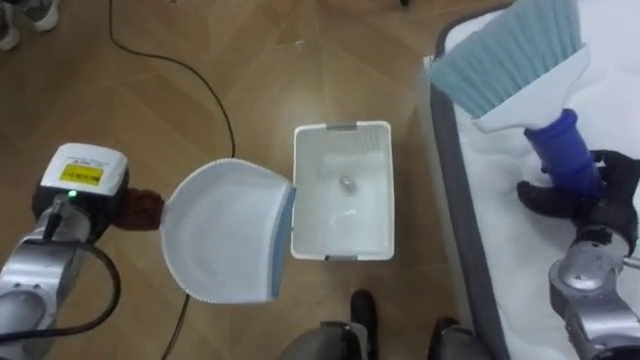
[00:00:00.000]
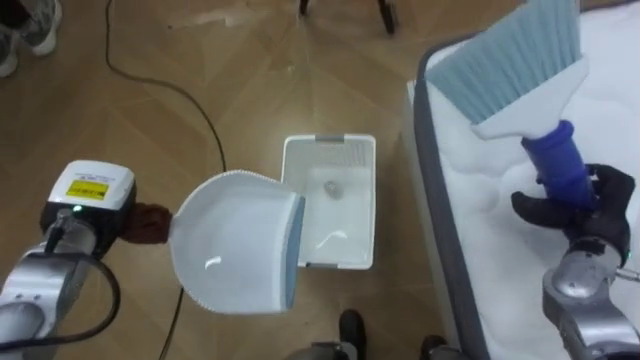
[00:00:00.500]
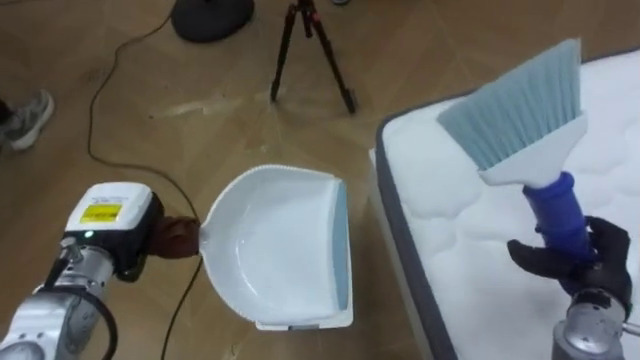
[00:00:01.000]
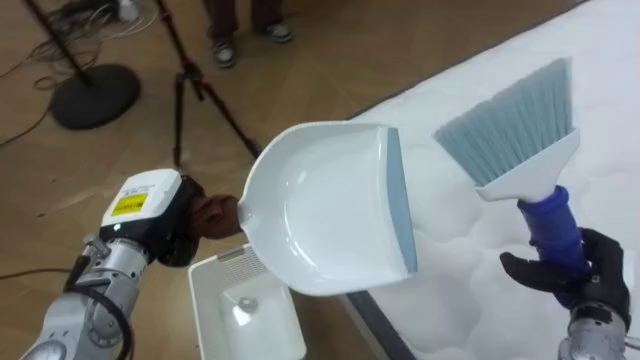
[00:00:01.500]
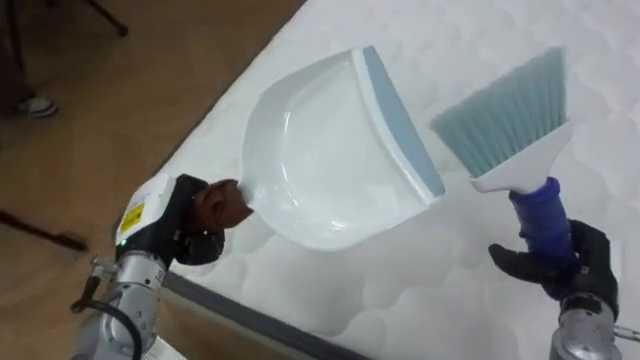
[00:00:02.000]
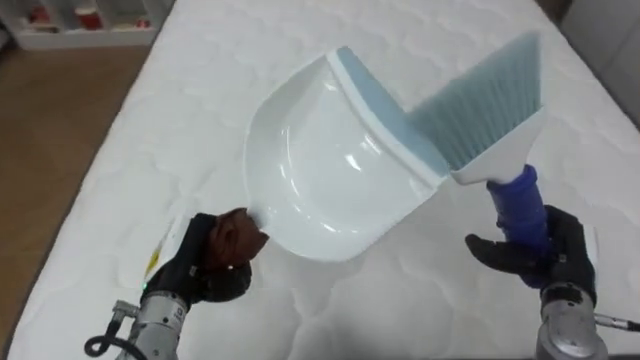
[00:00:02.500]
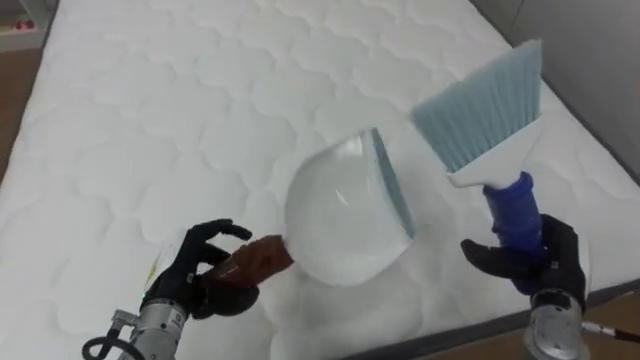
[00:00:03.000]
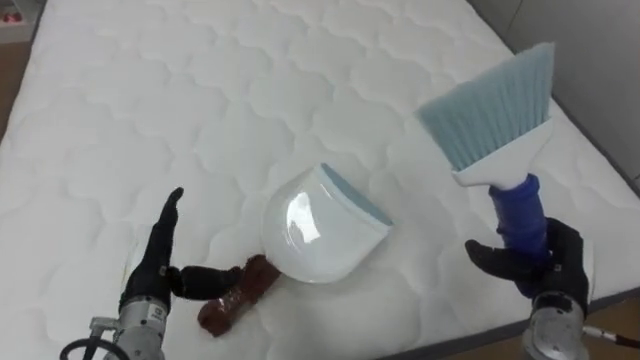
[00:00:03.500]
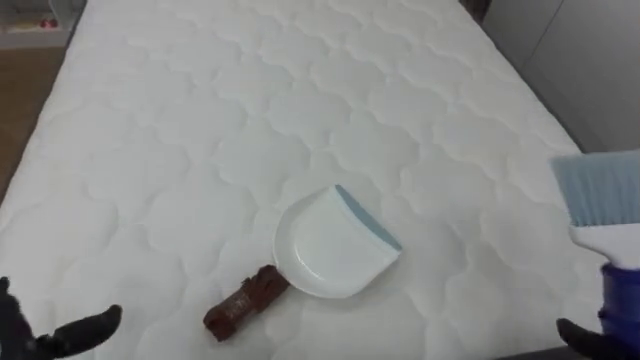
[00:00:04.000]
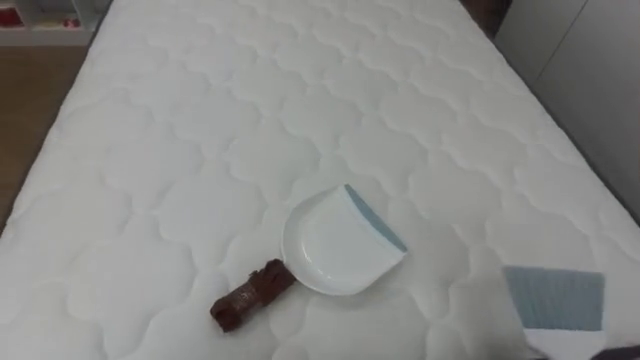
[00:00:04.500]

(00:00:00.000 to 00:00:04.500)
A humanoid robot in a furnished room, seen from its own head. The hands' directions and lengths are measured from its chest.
Task of the whole recording: Pick up the brush on your right and the dustpan on your left. Use the brush to sweep the crumpled paper on the bed into the dustpan, then turn left and empty it into the basket.
00:00:00.000 - 00:00:02.000: The robot faces some 60 degrees further to its right. The right hand heads backward and downward, covering roughly 10 cm, while the left hand is displaced to the right by some 10 cm.
00:00:02.000 - 00:00:04.500: The robot turns to its right by some 35 degrees.

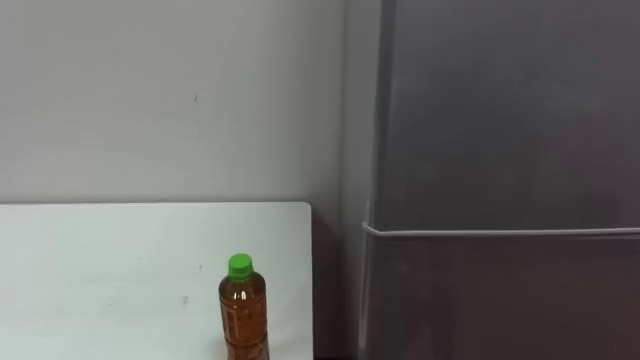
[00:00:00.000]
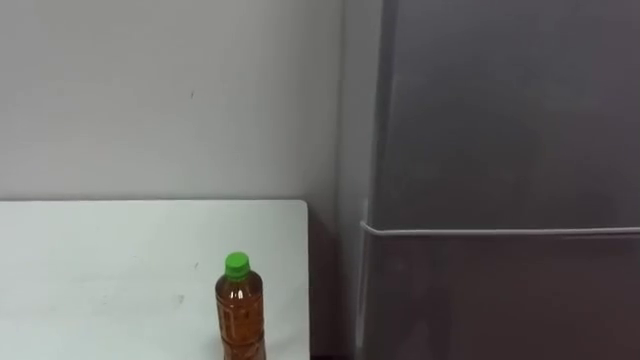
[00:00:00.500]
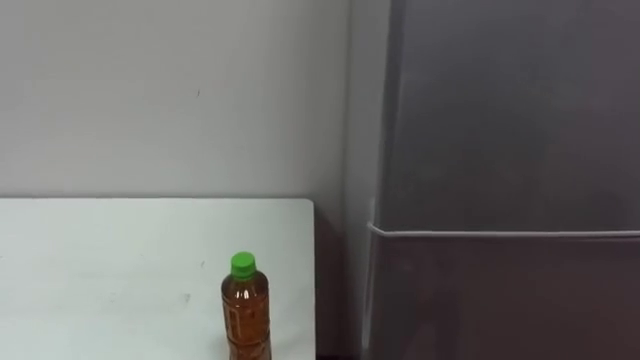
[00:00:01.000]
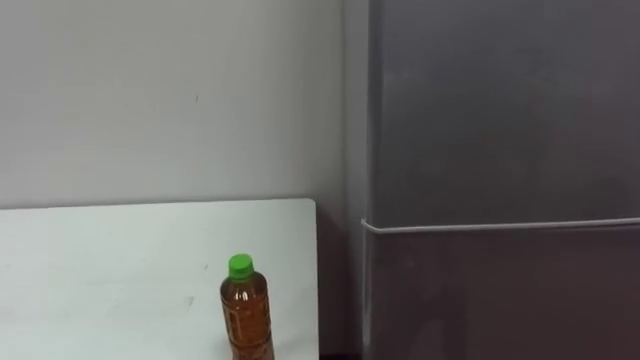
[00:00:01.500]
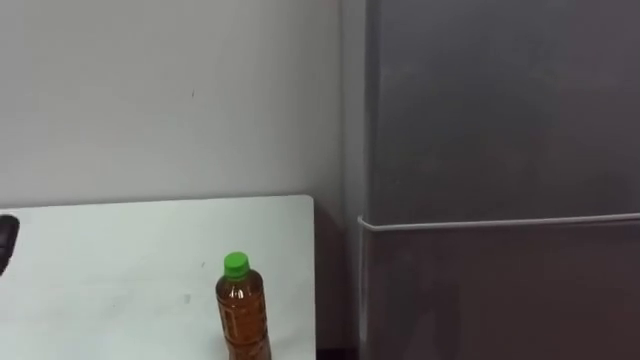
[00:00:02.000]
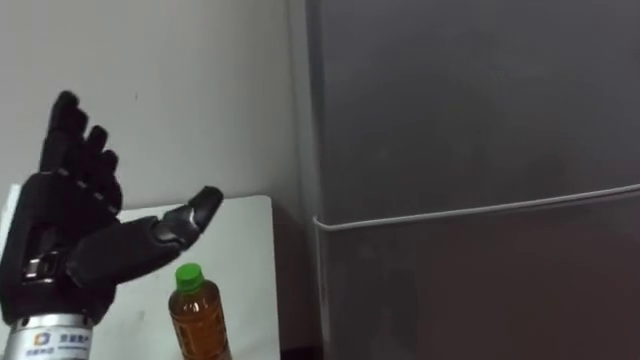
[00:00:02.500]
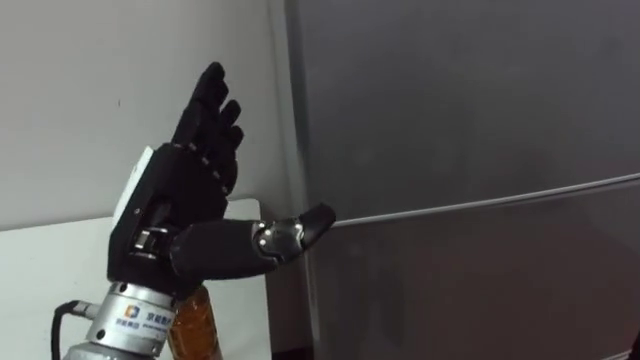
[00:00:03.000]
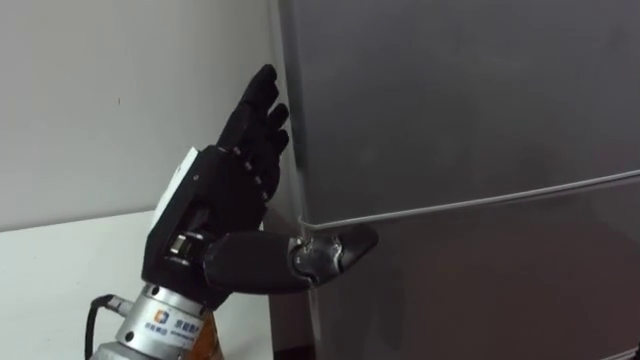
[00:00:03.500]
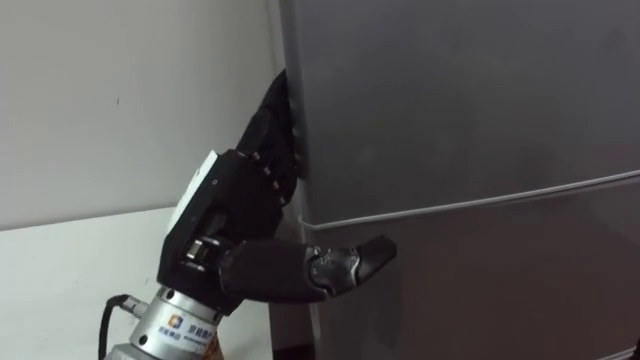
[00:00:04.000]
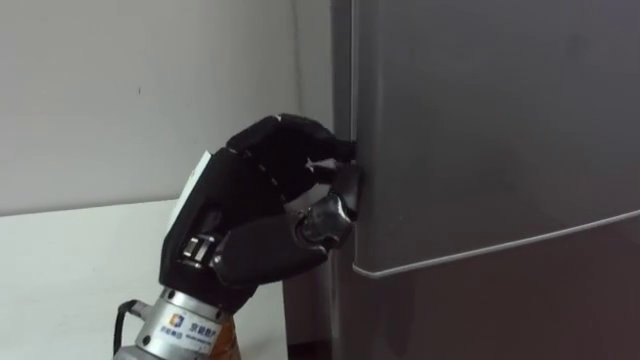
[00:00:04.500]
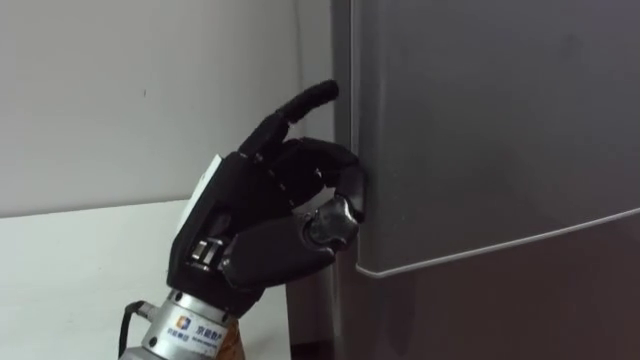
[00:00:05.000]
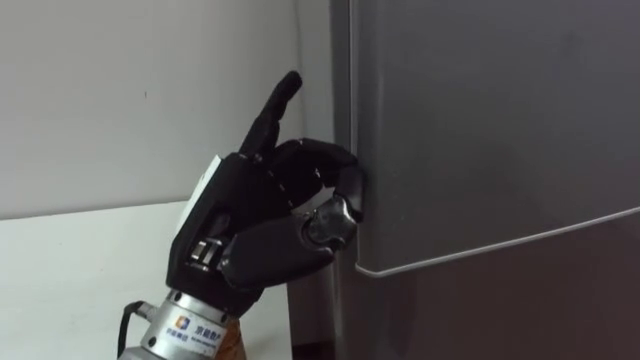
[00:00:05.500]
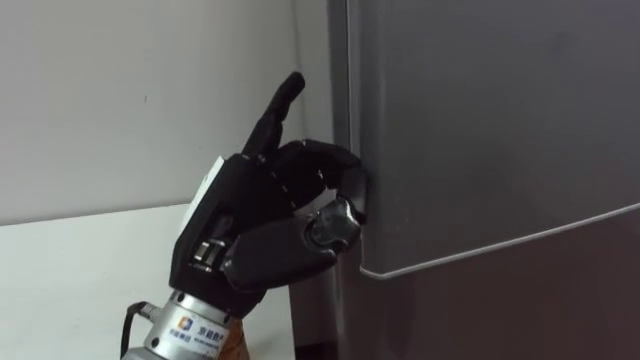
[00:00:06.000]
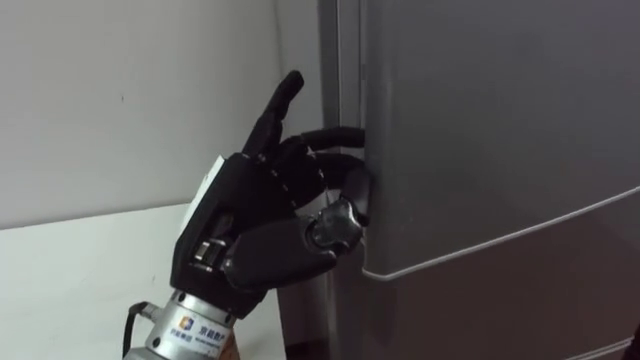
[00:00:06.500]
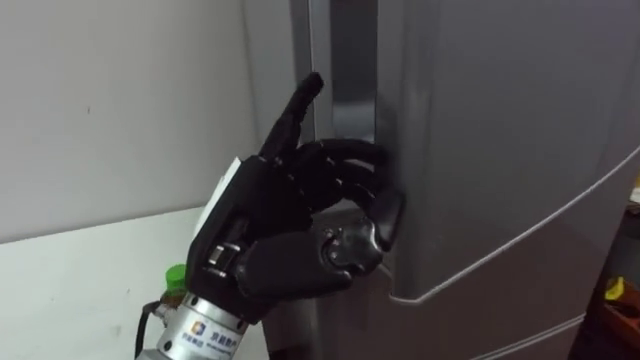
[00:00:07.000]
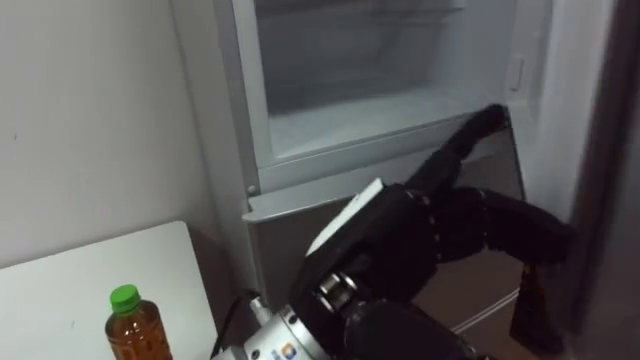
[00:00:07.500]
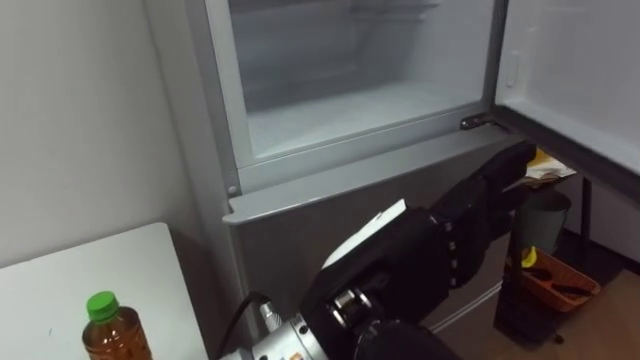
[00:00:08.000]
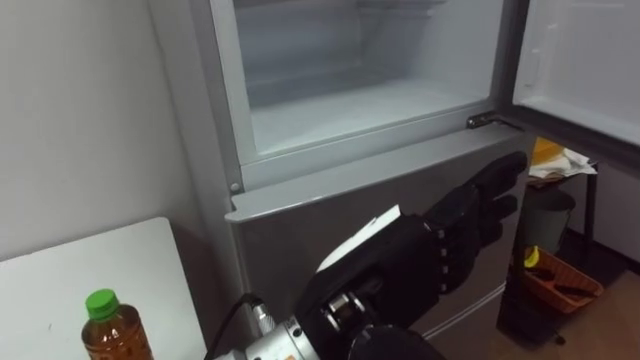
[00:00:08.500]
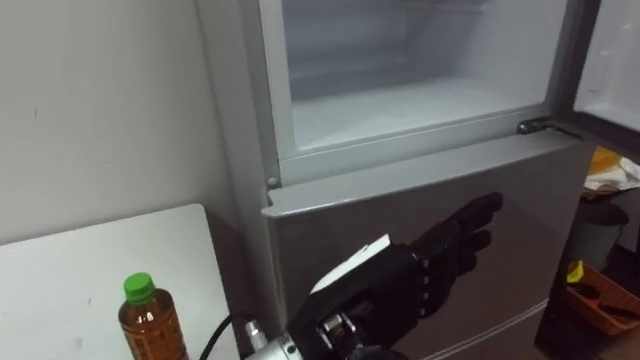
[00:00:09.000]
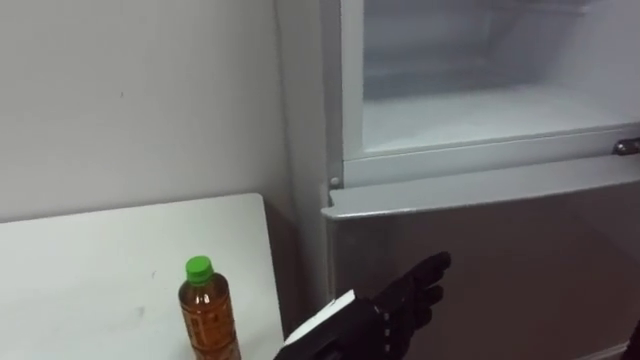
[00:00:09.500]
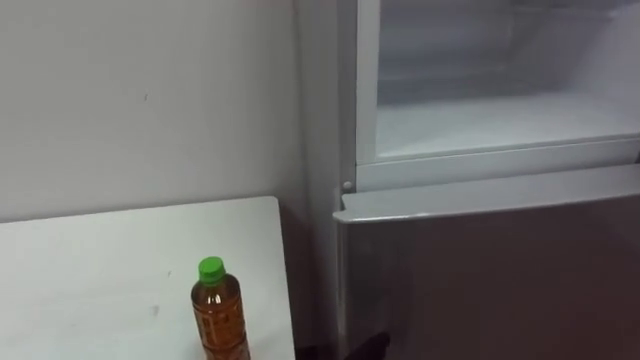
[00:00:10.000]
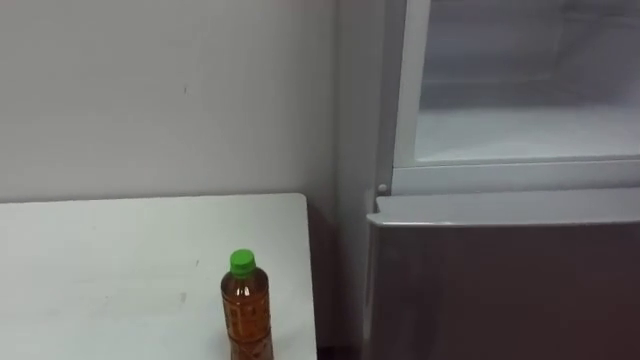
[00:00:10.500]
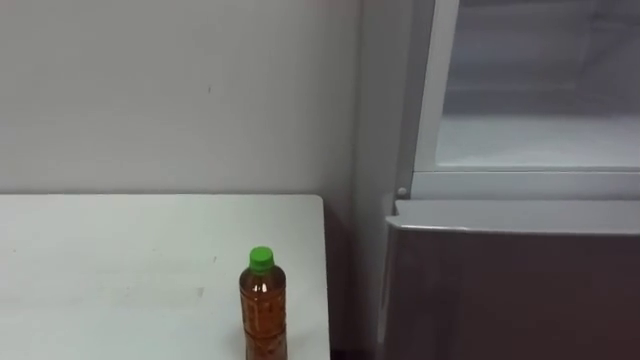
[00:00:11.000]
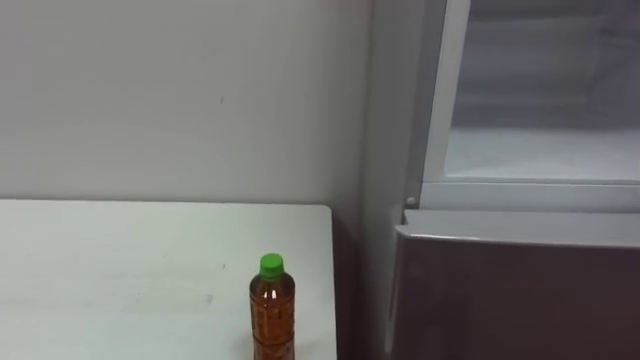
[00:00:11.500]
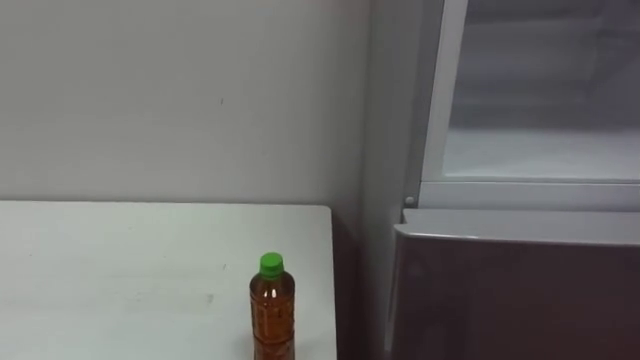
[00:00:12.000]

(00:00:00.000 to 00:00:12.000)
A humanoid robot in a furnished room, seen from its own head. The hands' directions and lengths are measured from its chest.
Task of the whole recording: Open the upper refrigerator door, put the drink from the table into the refrigerator, and then close the refrigerator door.
00:00:04.000 - 00:00:06.000: The left hand closes, then opens again.
00:00:06.000 - 00:00:08.000: The left hand moves to the right, about 10 cm.

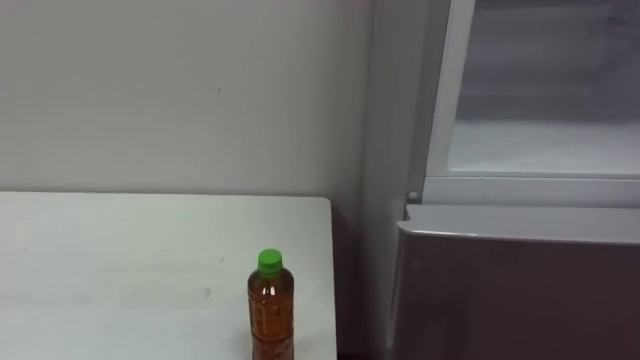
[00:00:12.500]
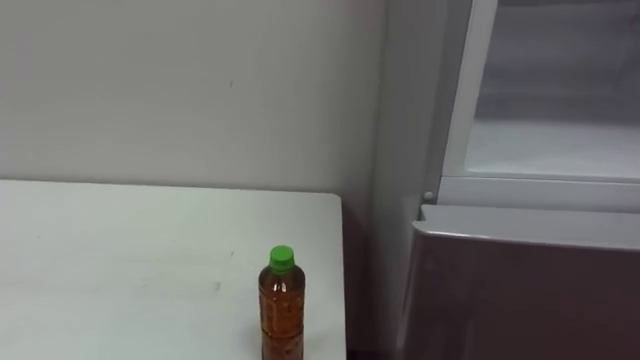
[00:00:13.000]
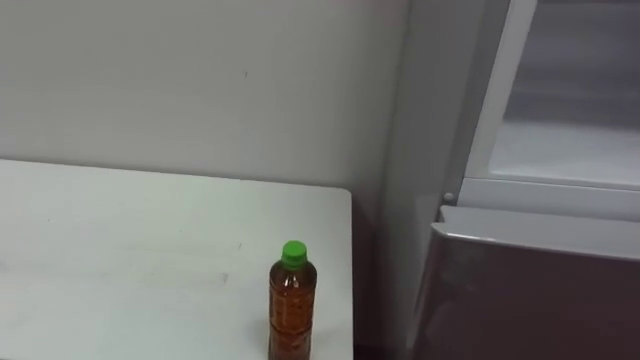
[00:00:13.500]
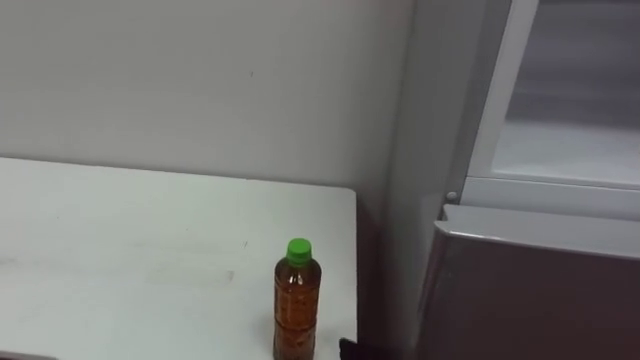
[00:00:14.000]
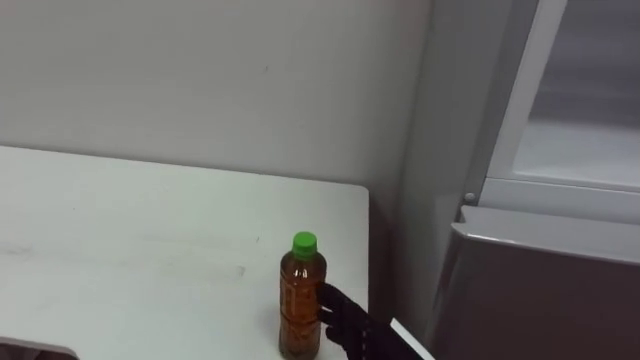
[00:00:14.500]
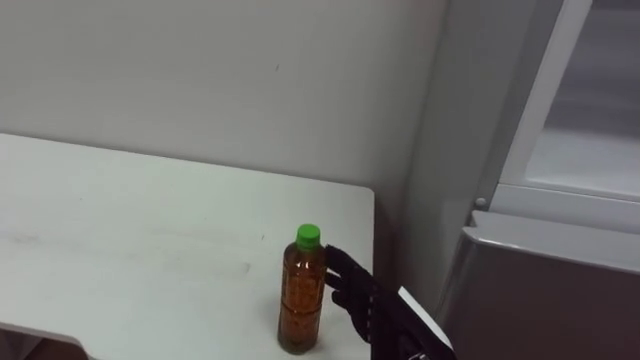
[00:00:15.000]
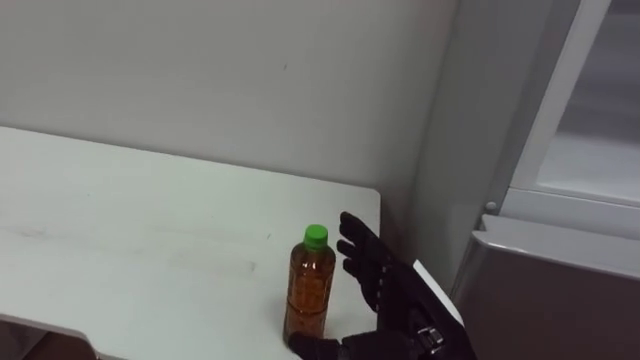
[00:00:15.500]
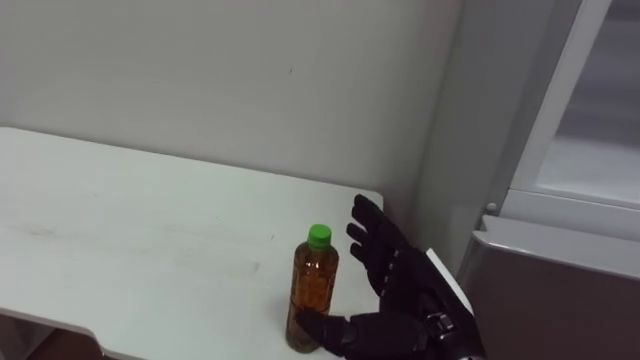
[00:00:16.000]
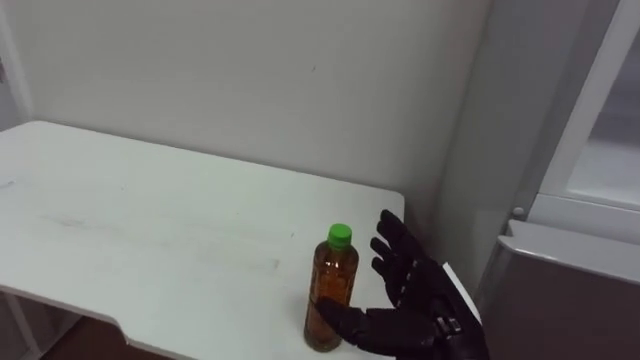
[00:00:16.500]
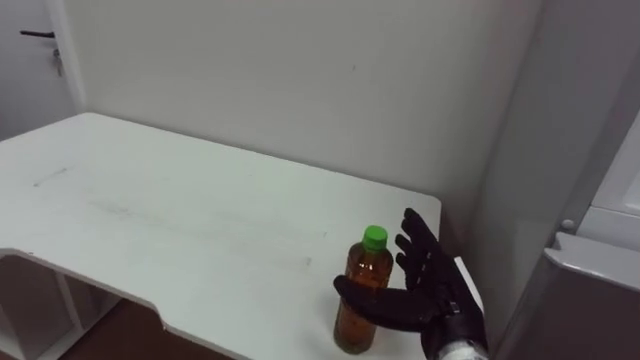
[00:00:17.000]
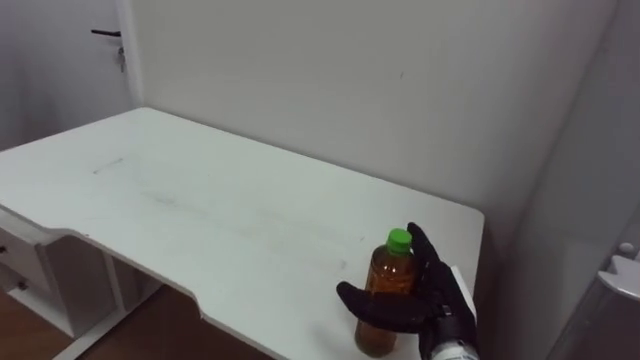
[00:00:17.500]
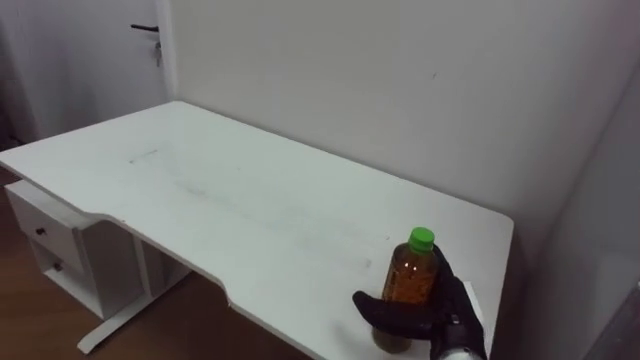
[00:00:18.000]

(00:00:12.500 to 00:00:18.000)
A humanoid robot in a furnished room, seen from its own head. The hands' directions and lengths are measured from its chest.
Task of the whole recording: Open the upper refrigerator door, put the drink from the table into the refrigerator, and then close the refrigerator door.
00:00:16.000 - 00:00:18.000: The right hand shifts approximately 10 cm downward and forward.
